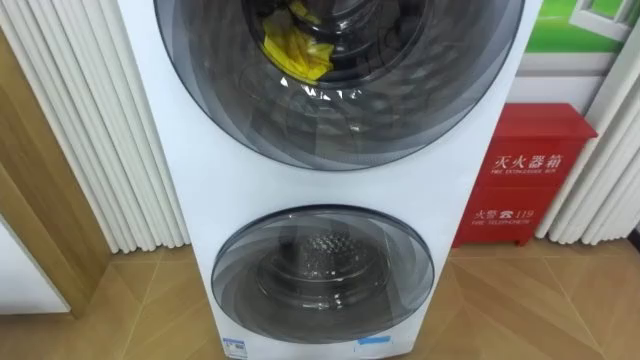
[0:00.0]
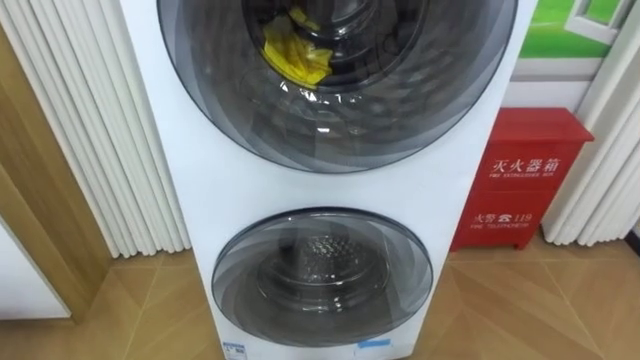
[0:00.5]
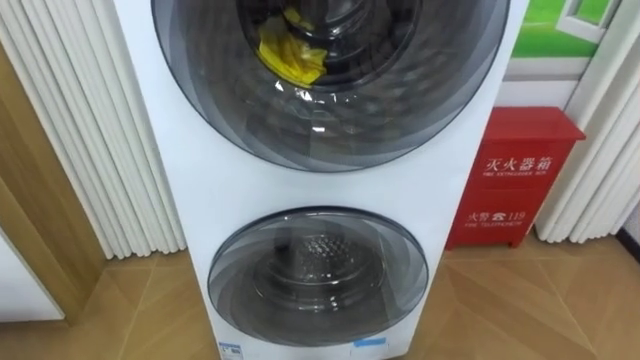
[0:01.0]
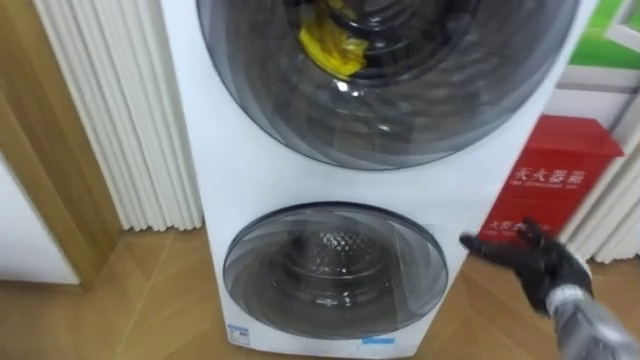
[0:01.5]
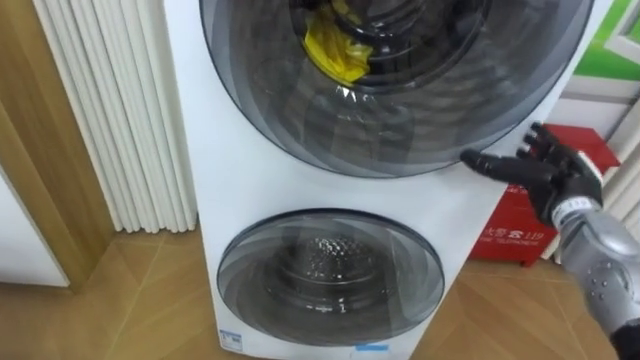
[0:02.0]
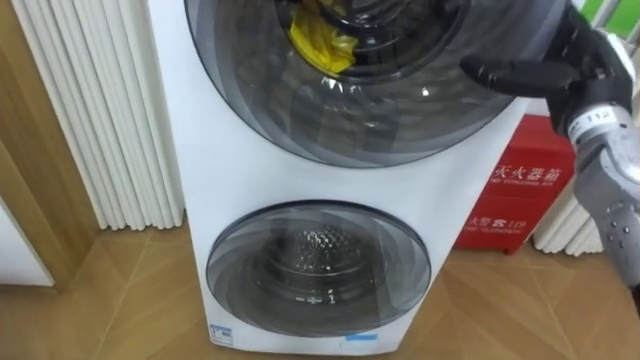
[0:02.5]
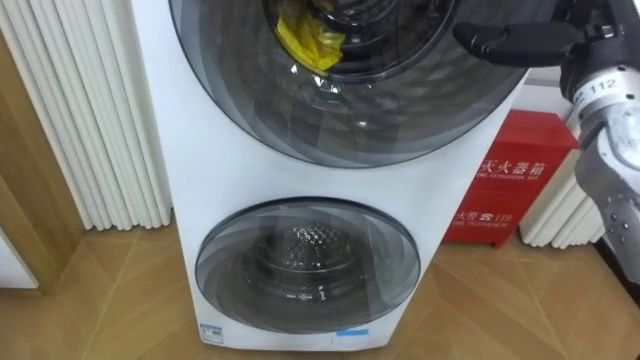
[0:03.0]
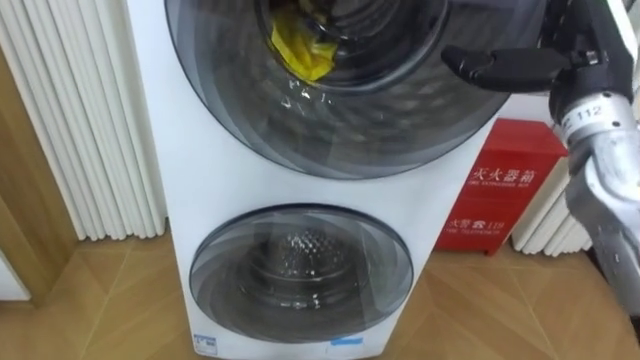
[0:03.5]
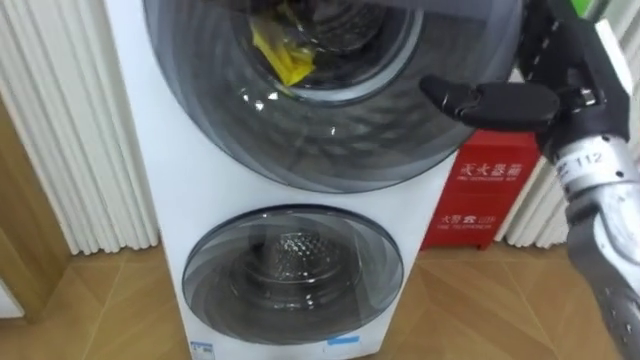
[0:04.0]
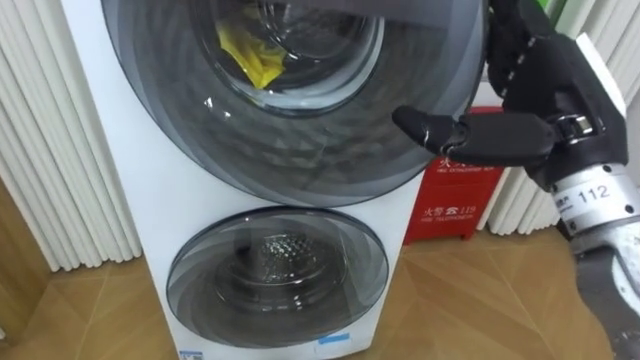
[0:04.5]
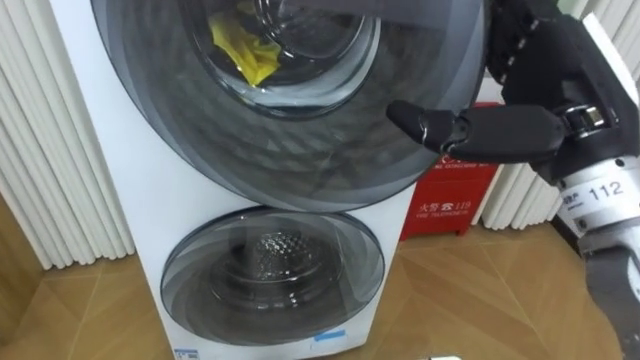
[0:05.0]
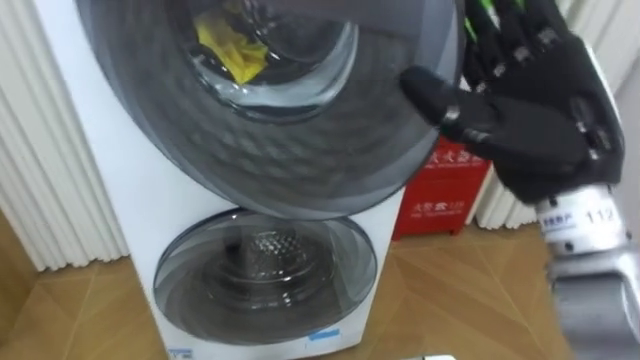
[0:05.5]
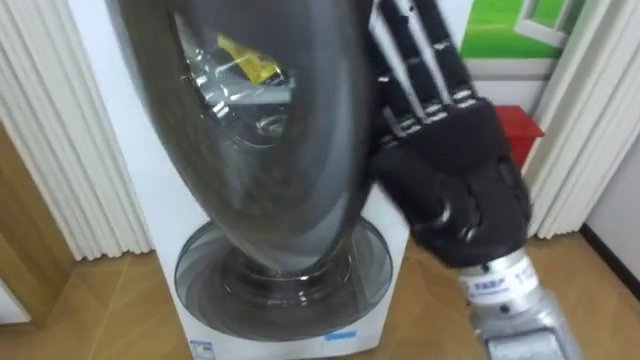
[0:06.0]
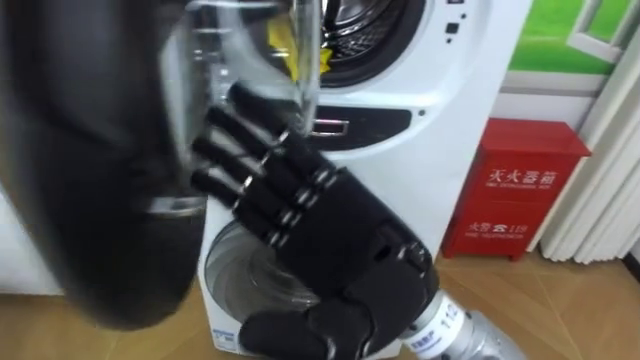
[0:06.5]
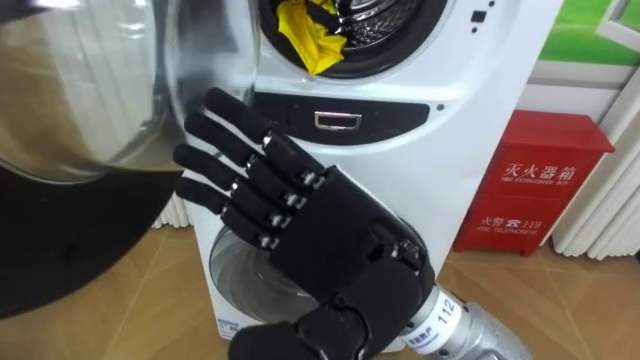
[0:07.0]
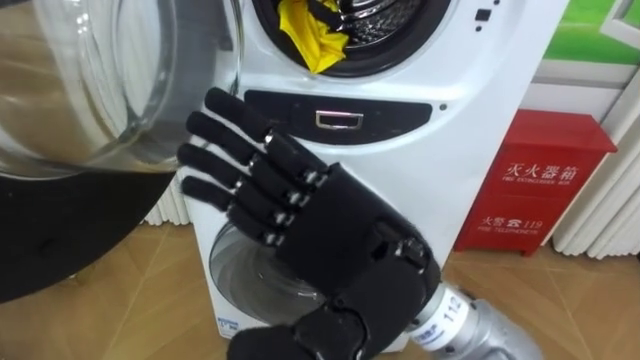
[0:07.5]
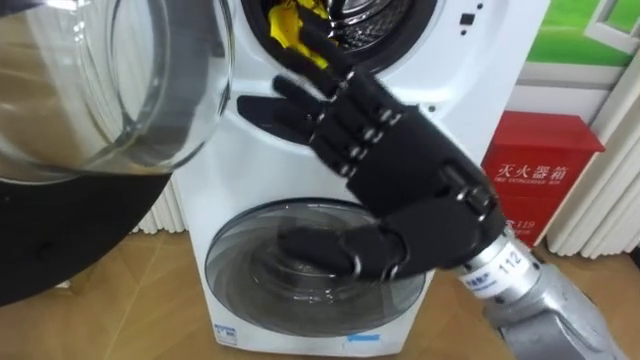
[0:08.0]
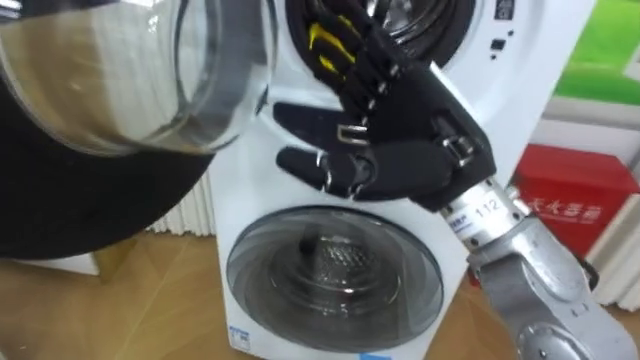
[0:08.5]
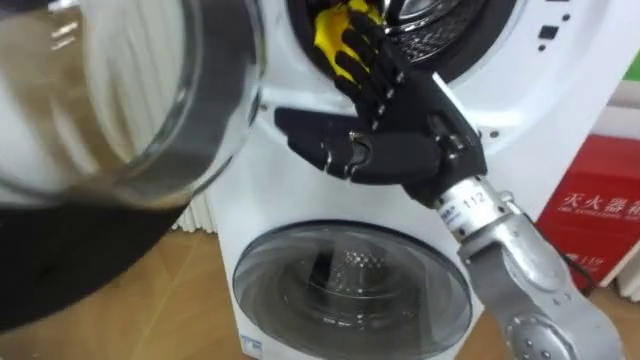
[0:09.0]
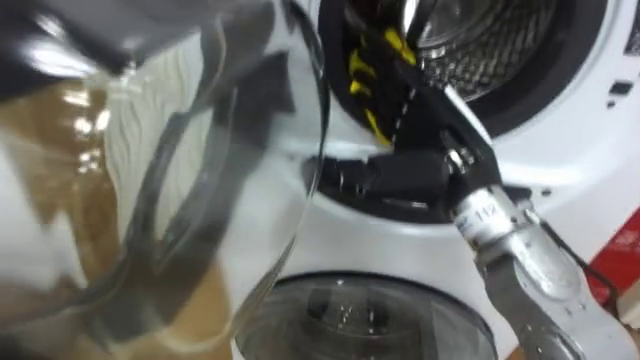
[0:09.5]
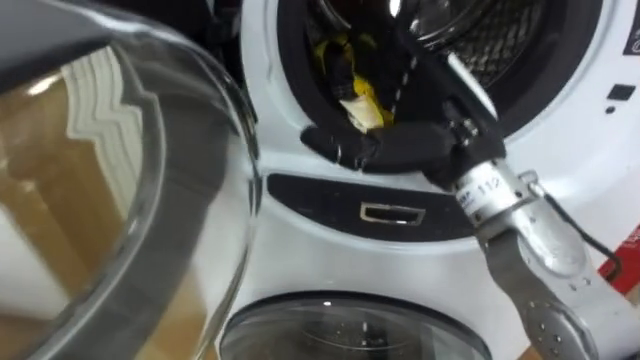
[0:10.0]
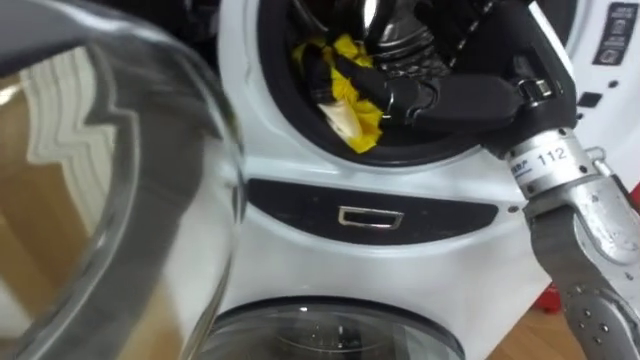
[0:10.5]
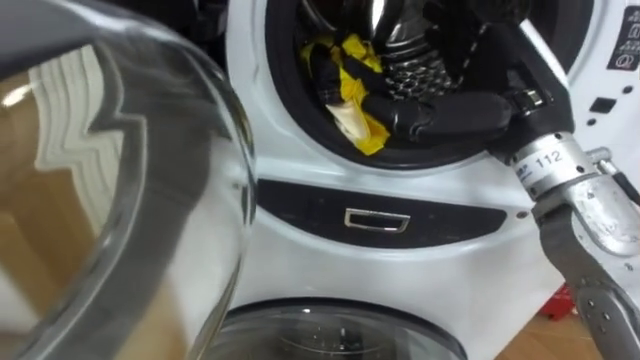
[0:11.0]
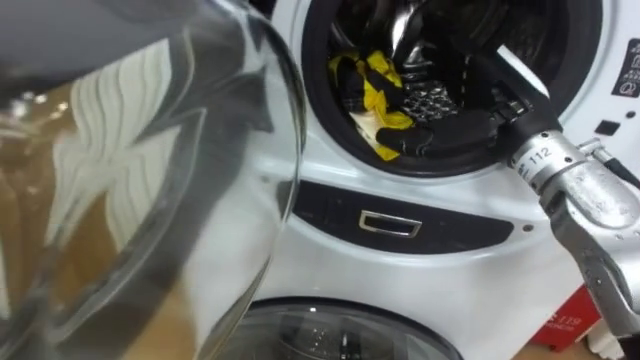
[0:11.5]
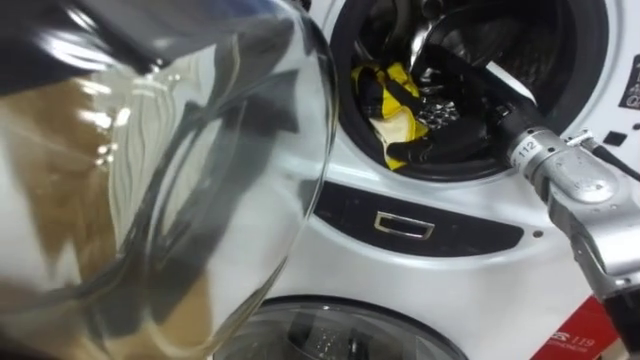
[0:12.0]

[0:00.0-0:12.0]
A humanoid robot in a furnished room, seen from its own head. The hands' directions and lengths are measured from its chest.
Task of the whole recording: Open the washing machine door, take out the yellow clothes, place them in the box on the right, and close the washing machine door.
0:02.0 to 0:04.0: The right hand moves upward and to the left, some 20 cm.
0:04.0 to 0:06.0: The right hand is displaced to the left and backward by about 15 cm.
0:06.0 to 0:08.0: The right hand travels to the left and back again, some 10 cm each way.
0:08.0 to 0:10.0: The right hand travels forward by some 10 cm.
0:10.0 to 0:12.0: The right hand heads forward and to the right, covering approximately 10 cm.

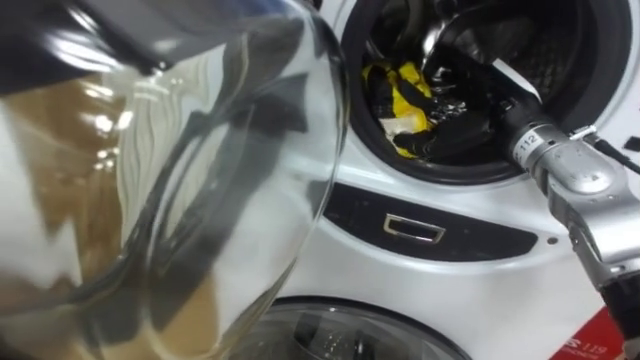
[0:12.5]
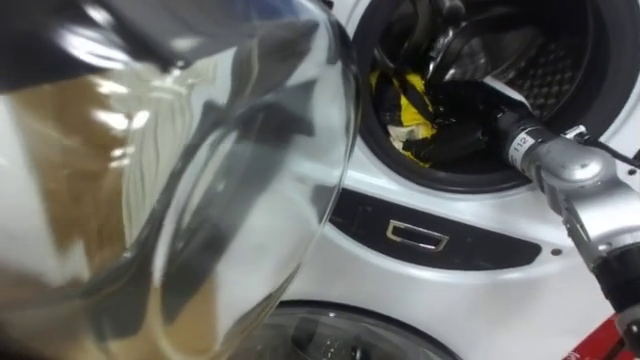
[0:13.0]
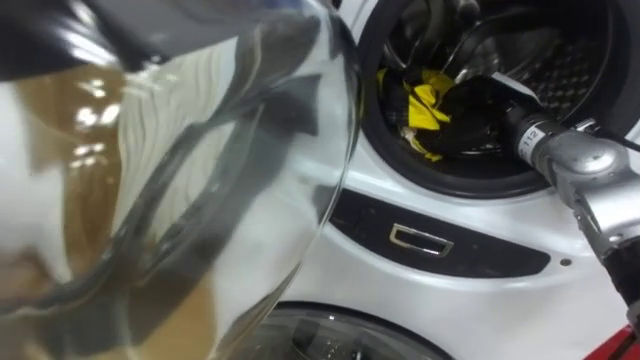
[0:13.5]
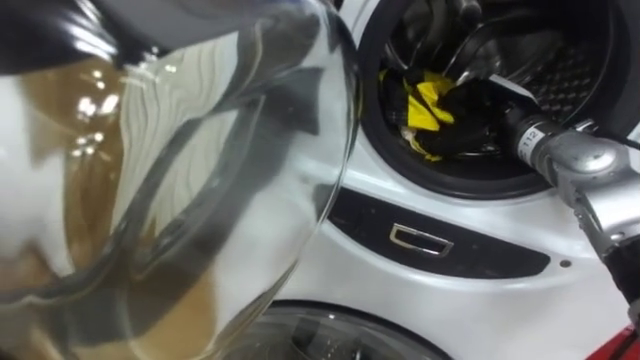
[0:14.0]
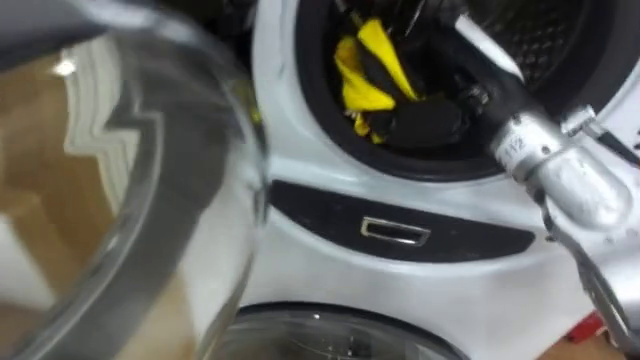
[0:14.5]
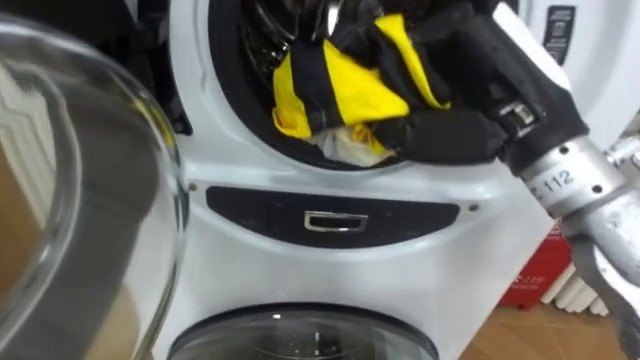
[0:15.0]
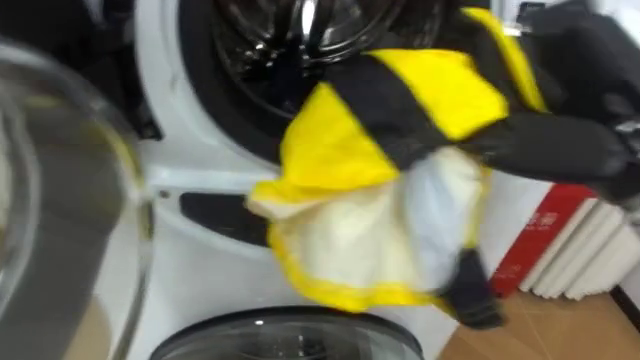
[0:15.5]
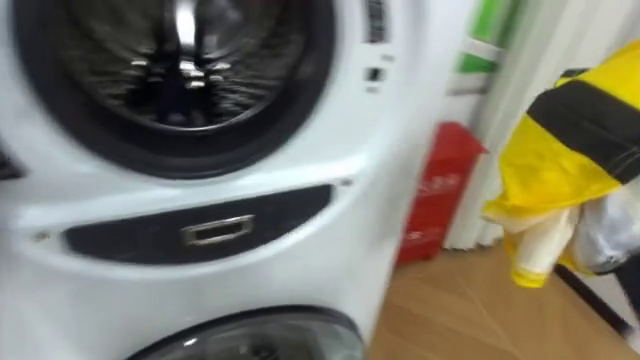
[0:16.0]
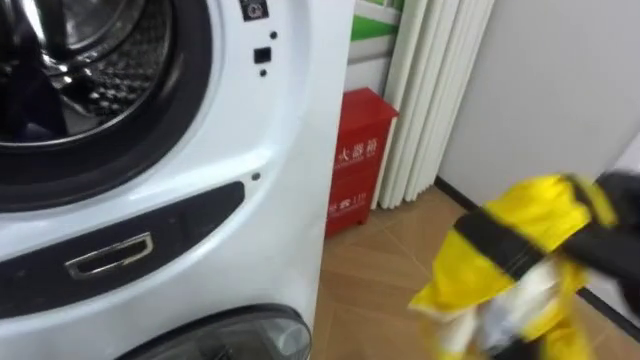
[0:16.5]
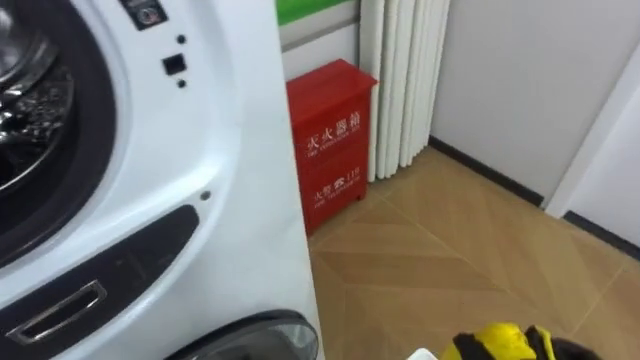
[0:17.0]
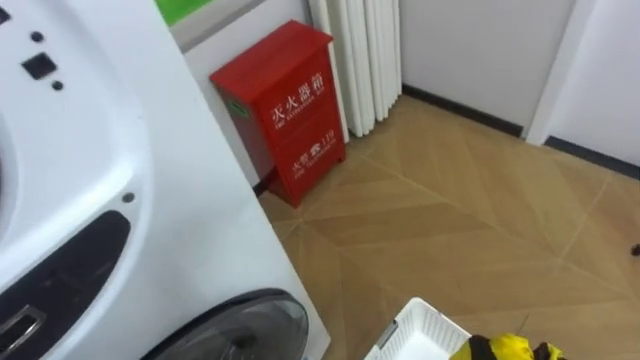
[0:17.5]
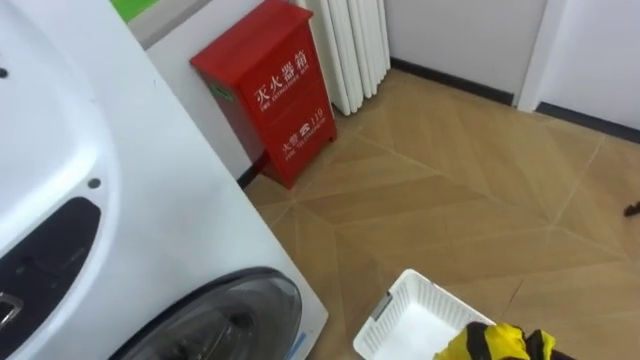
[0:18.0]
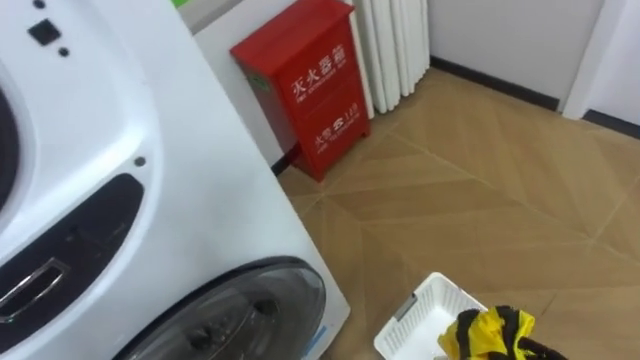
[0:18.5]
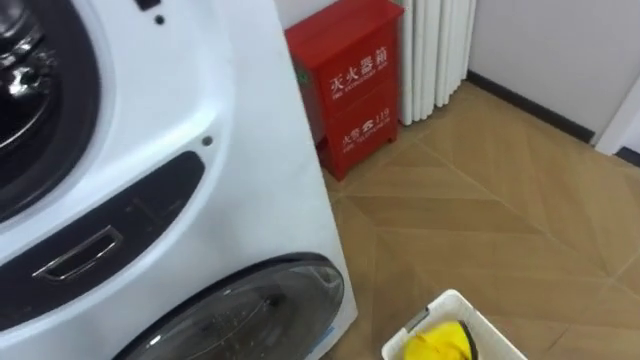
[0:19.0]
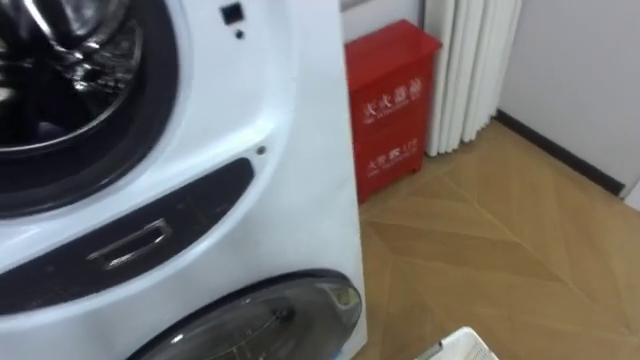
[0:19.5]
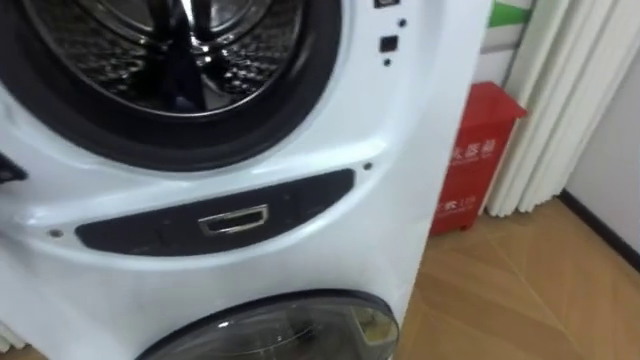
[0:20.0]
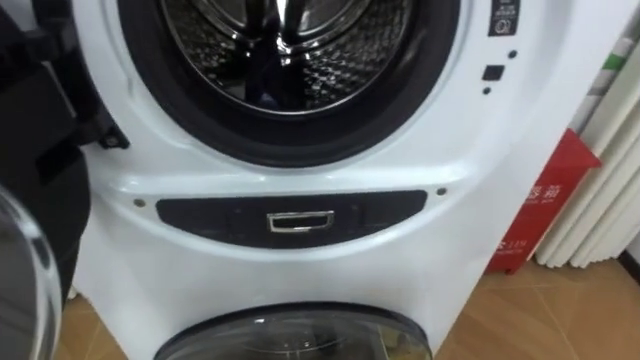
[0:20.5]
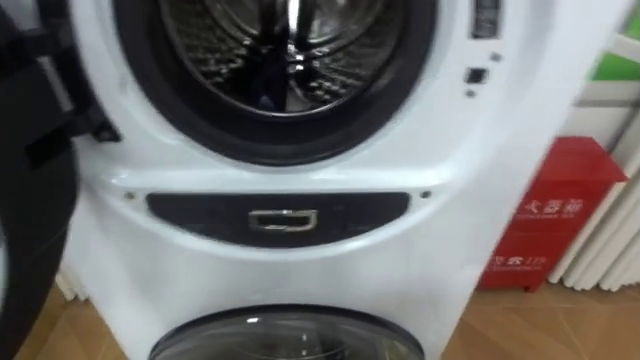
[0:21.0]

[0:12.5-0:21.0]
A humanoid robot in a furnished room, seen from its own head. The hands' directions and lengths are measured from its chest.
Task of the whole recording: Open the washing machine door, take out the yellow clothes, place them in the box on the right, and close the washing machine door.
0:12.5 to 0:14.5: The right hand moves upward, backward and to the left, roughly 10 cm, and closes up.
